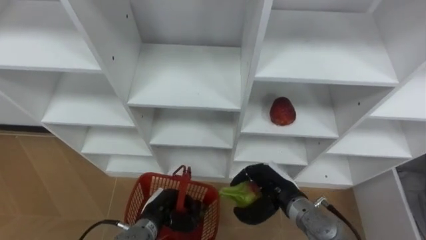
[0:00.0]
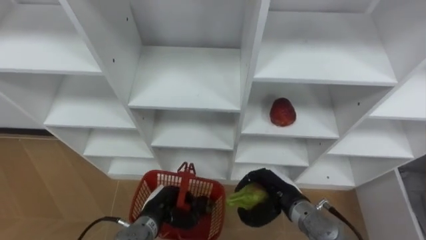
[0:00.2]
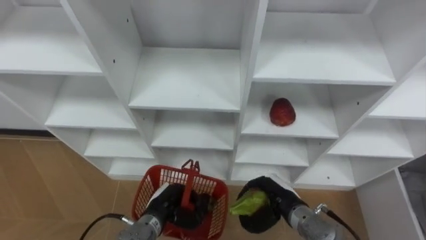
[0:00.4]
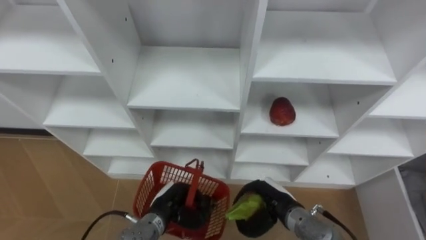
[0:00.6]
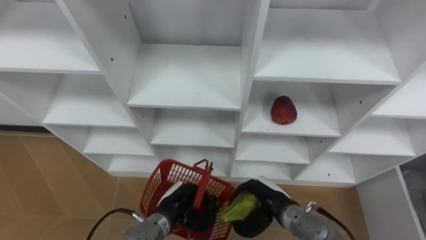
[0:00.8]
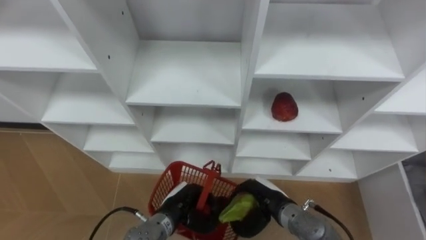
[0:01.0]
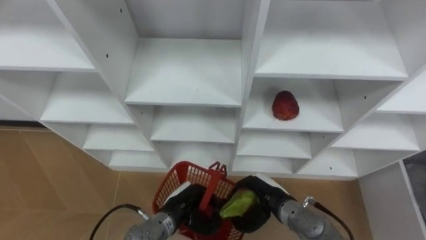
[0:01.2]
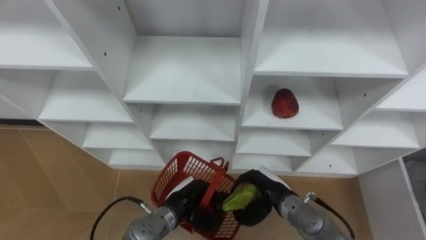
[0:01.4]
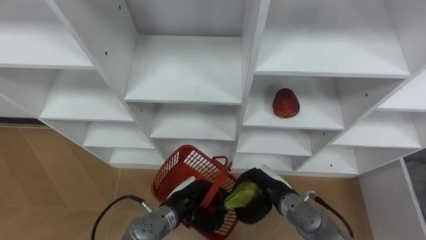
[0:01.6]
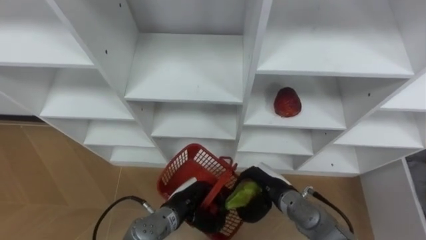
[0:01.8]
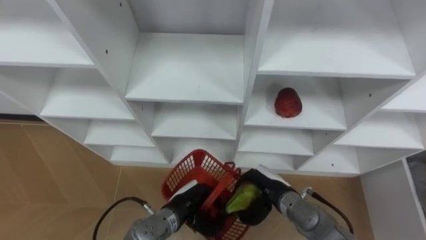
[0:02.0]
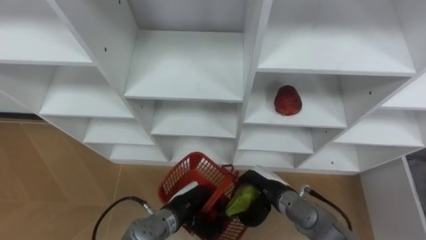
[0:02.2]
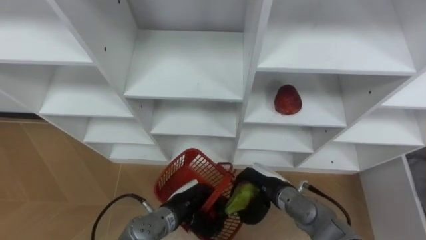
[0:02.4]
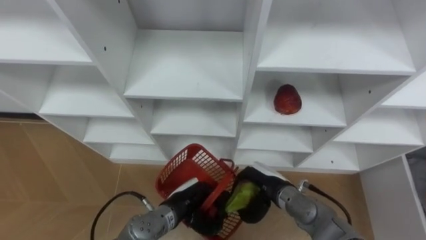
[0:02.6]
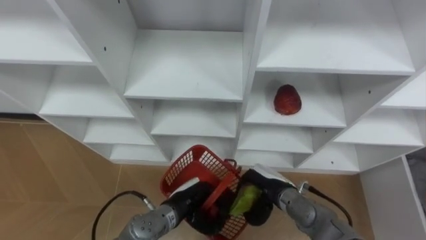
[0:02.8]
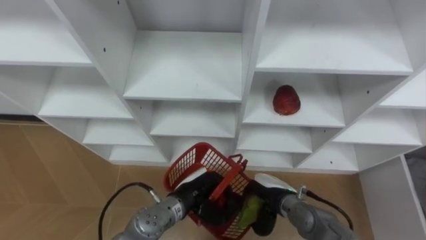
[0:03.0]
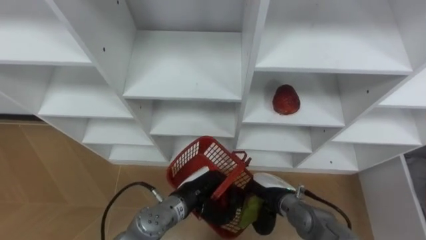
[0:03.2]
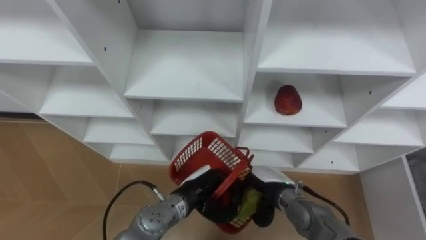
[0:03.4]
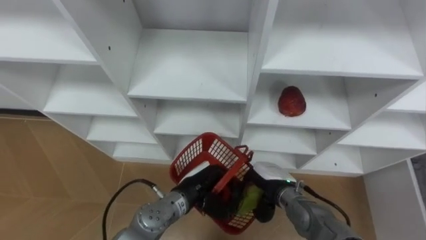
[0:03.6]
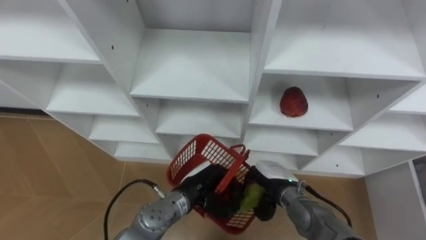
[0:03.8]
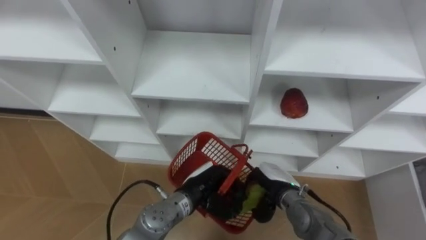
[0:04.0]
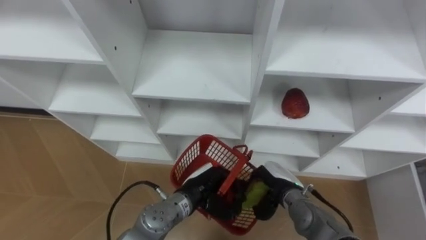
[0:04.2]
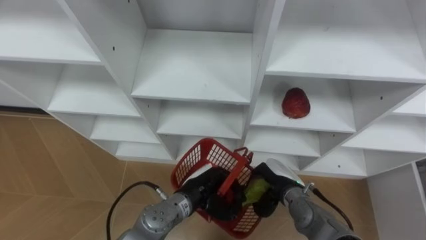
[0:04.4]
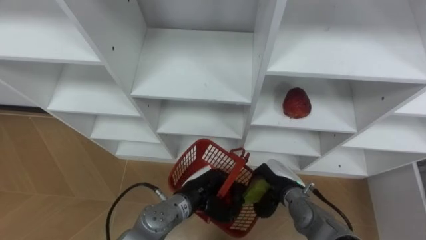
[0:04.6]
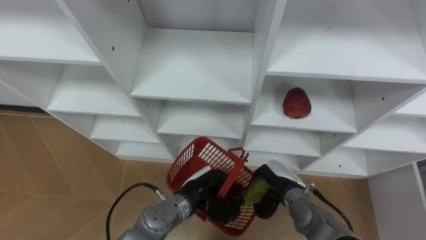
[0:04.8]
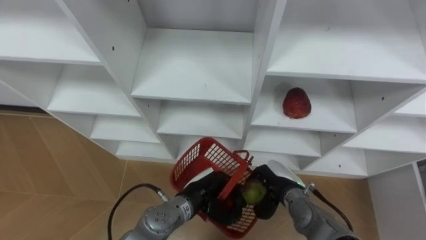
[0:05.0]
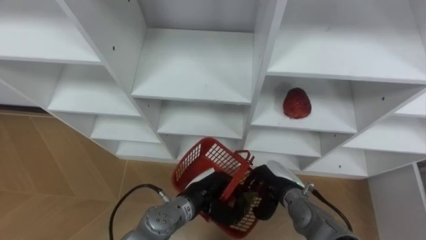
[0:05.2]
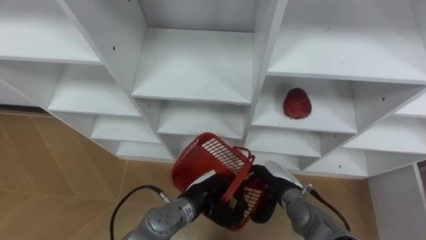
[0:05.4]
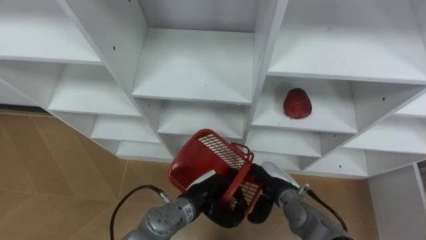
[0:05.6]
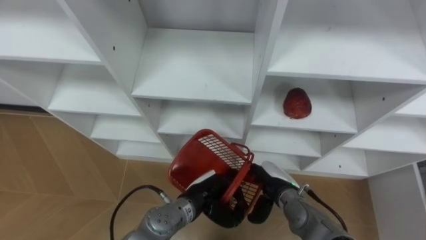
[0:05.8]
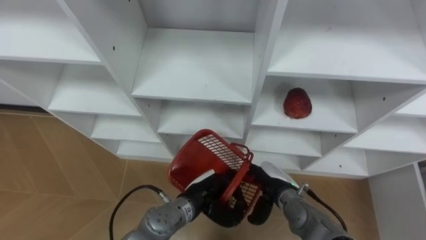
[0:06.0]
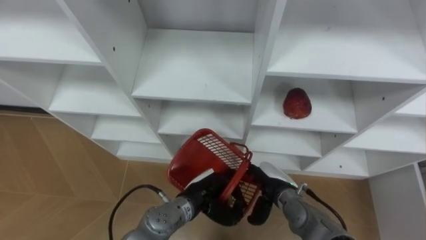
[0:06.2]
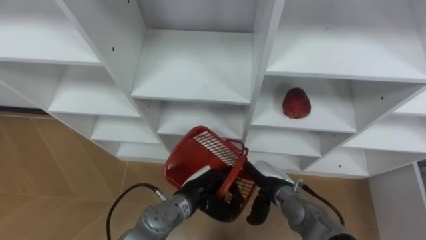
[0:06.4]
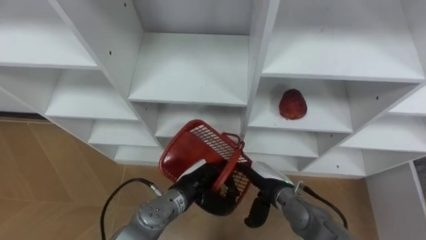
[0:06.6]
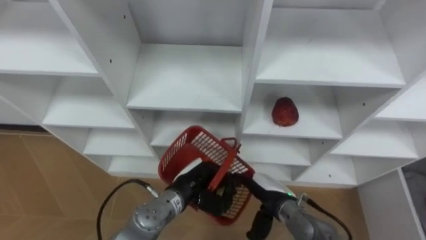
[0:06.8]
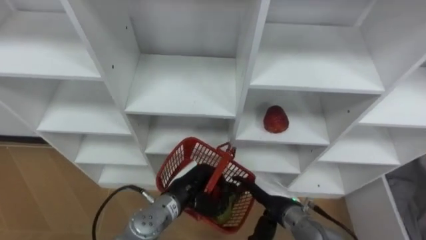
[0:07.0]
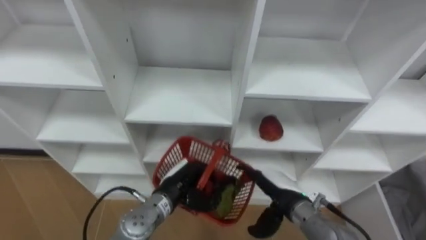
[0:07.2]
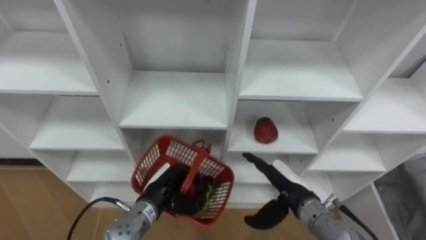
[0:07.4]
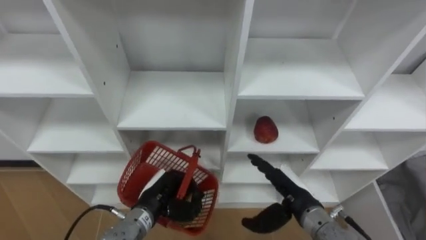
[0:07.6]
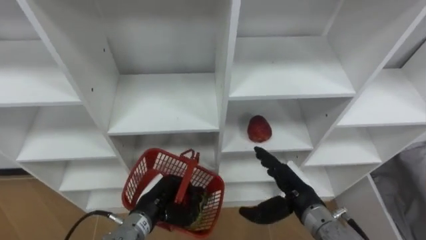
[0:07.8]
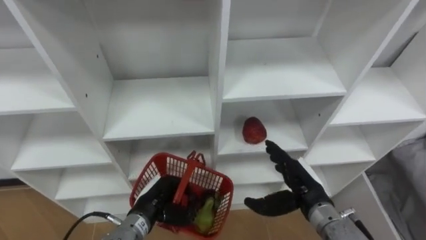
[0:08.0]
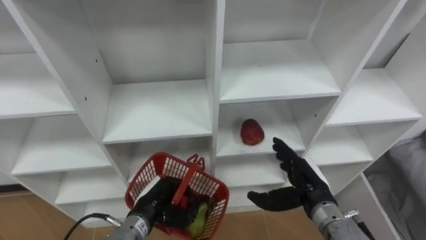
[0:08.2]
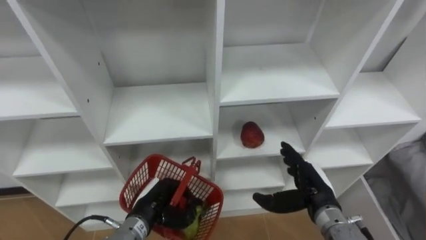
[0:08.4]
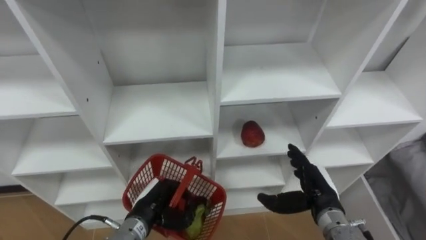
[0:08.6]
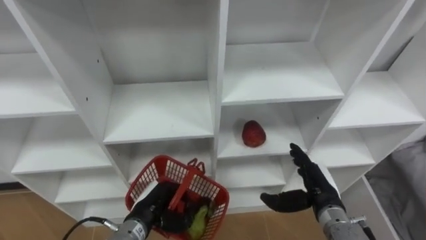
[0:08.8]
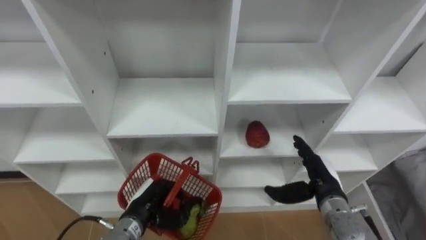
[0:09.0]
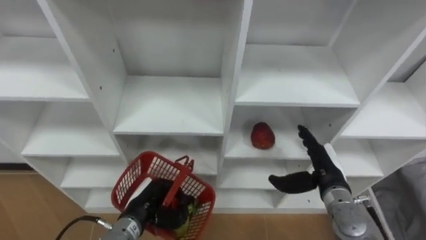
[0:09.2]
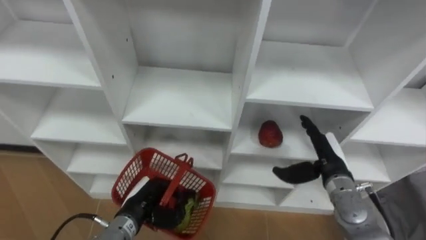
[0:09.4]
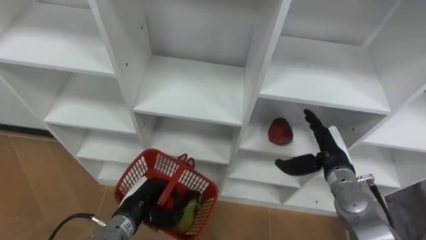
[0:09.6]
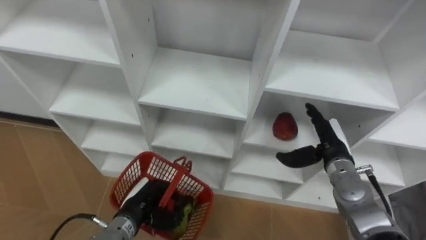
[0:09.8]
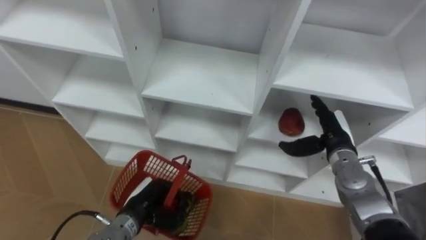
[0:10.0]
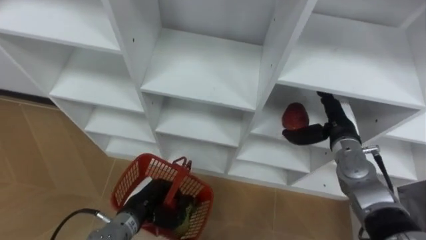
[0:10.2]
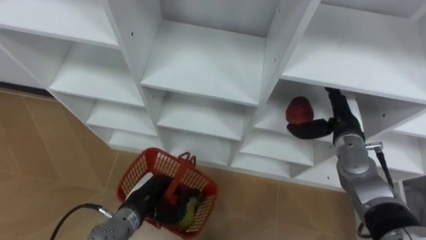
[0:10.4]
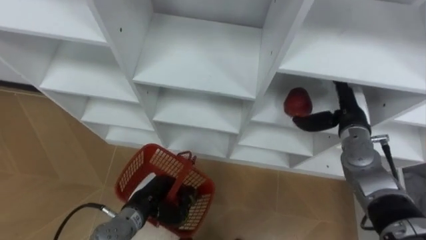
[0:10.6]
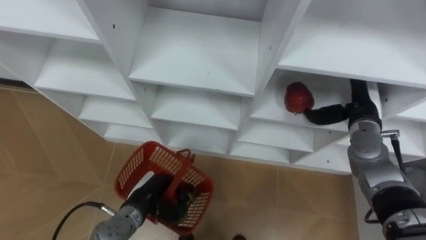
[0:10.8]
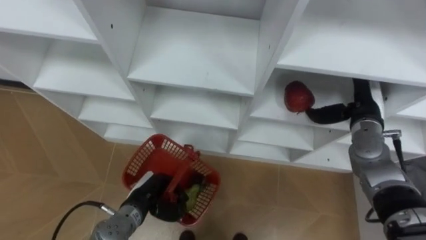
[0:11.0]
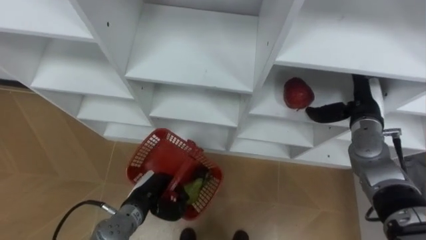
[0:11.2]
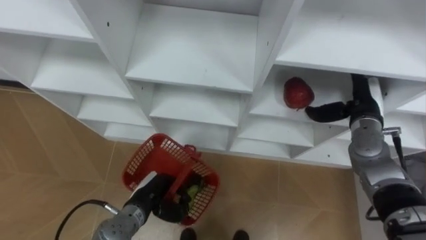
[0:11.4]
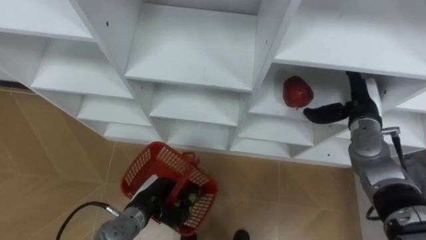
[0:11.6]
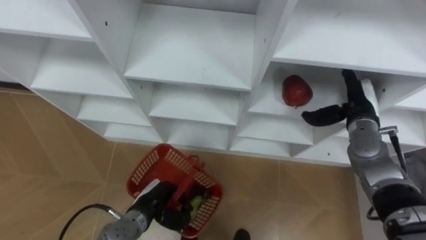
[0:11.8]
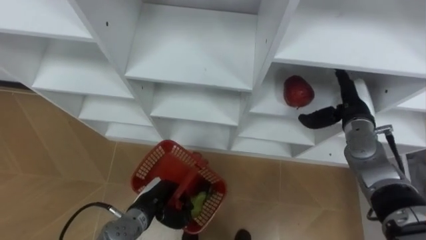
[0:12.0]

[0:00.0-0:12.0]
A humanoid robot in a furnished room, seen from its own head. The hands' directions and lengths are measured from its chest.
Task of the whole recording: Hold the basket and collect the fruits from 3 different cells of the closet into it.
0:00.0 to 0:01.6: The left hand is displaced to the right by approximately 5 cm.
0:04.4 to 0:06.0: The right hand opens.
0:06.0 to 0:07.6: The right hand heads upward, covering about 5 cm. The left hand heads to the left, covering approximately 10 cm.
0:07.6 to 0:09.0: The right hand moves to the right, about 5 cm.
0:09.0 to 0:10.4: The right hand travels forward and upward by some 10 cm.

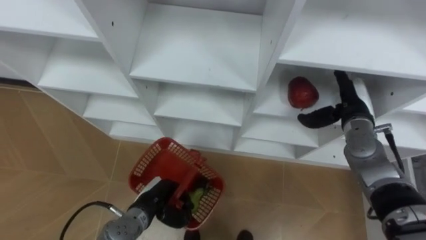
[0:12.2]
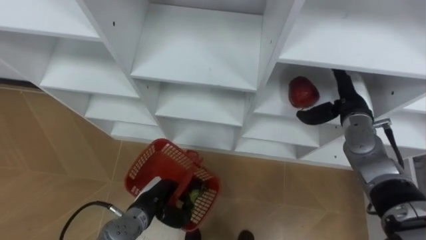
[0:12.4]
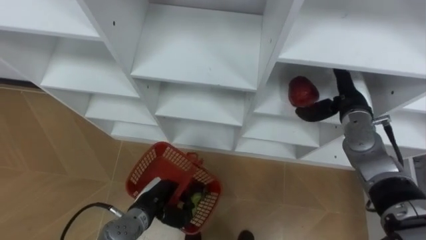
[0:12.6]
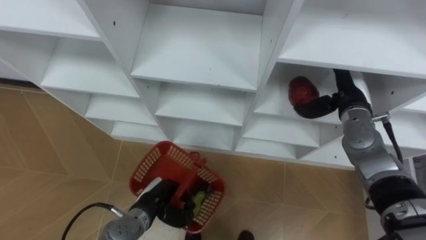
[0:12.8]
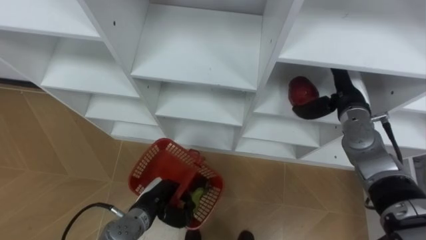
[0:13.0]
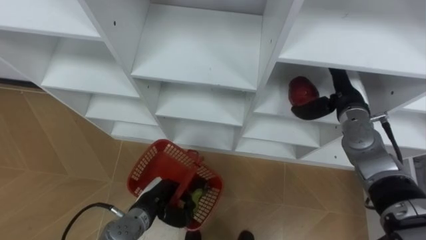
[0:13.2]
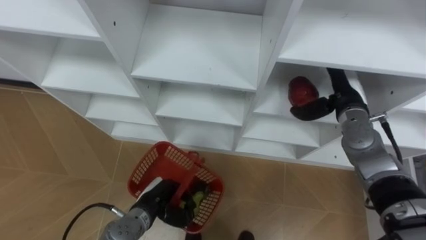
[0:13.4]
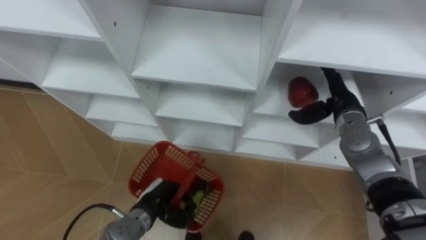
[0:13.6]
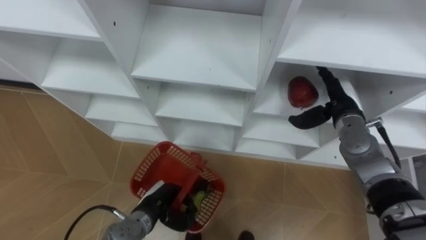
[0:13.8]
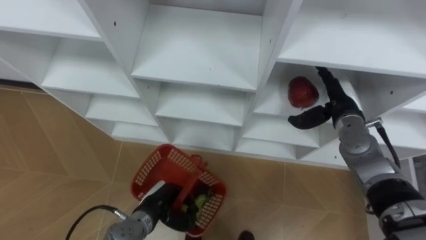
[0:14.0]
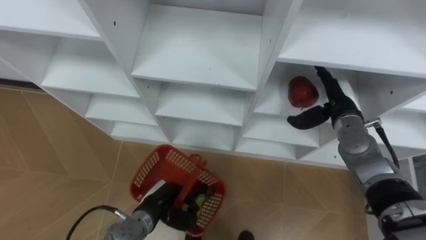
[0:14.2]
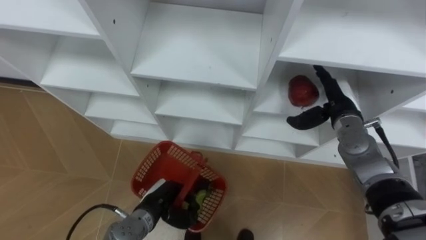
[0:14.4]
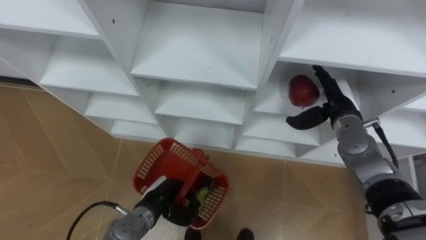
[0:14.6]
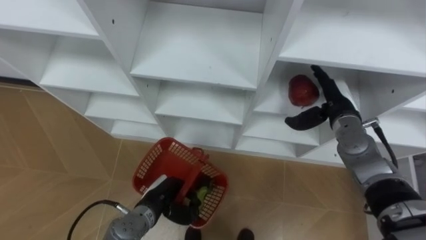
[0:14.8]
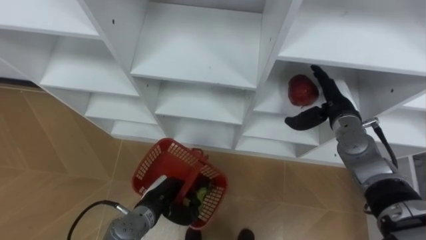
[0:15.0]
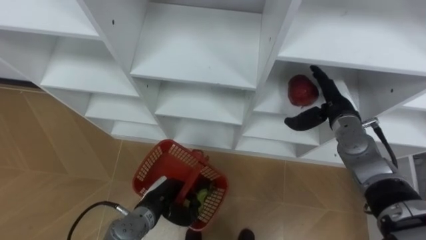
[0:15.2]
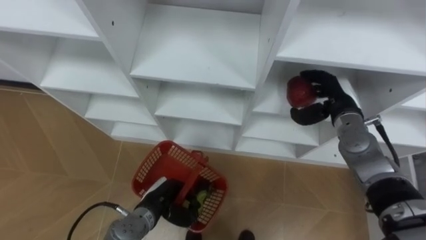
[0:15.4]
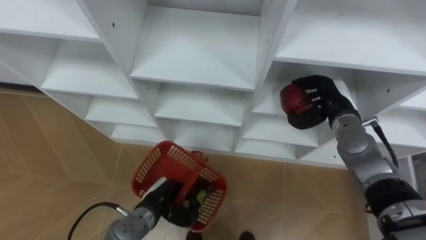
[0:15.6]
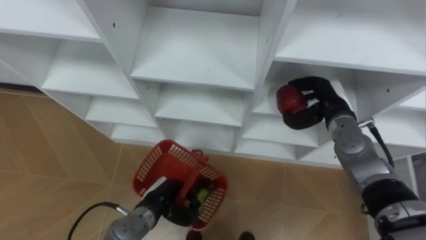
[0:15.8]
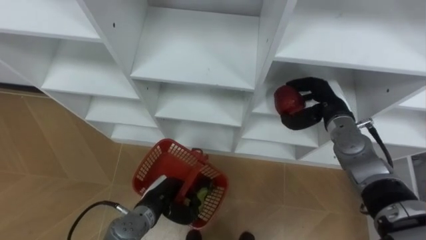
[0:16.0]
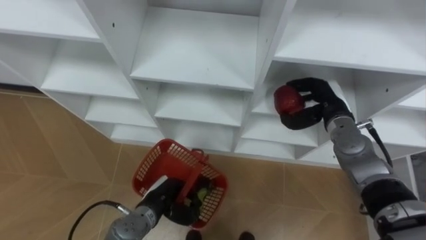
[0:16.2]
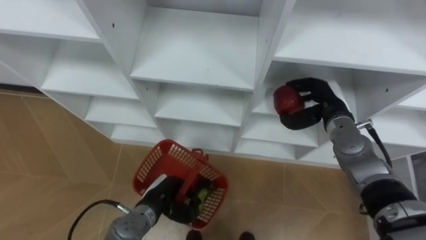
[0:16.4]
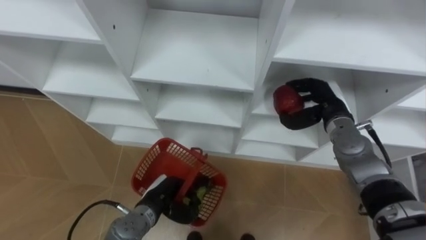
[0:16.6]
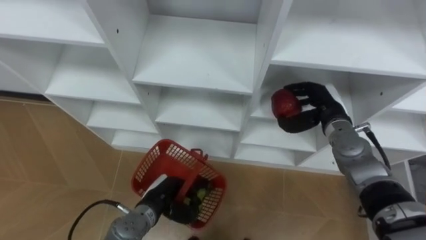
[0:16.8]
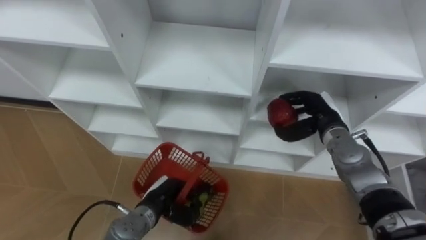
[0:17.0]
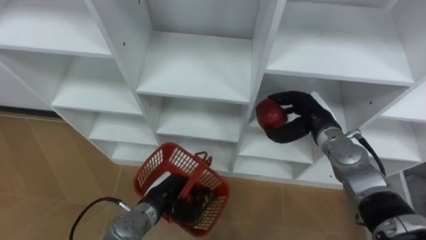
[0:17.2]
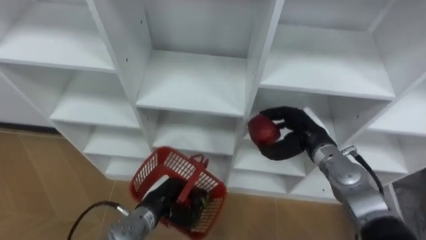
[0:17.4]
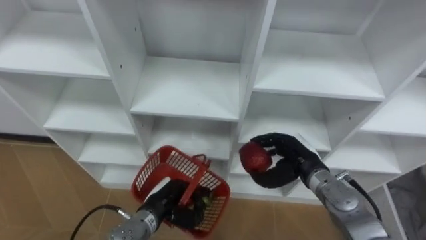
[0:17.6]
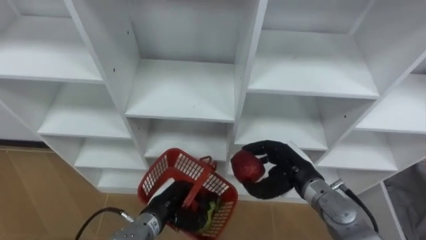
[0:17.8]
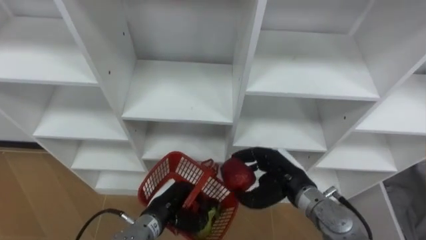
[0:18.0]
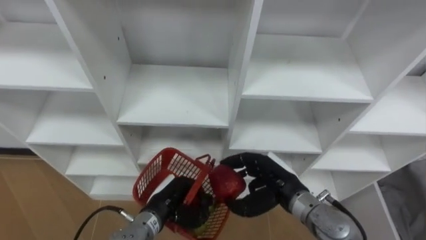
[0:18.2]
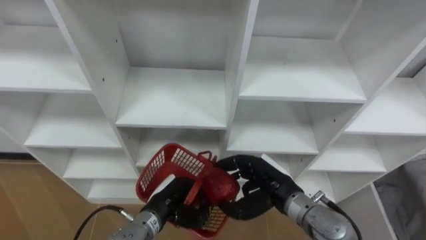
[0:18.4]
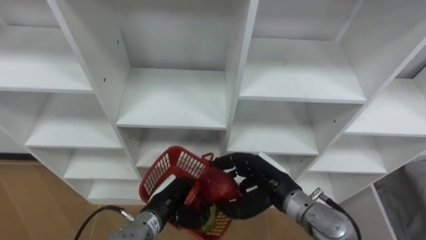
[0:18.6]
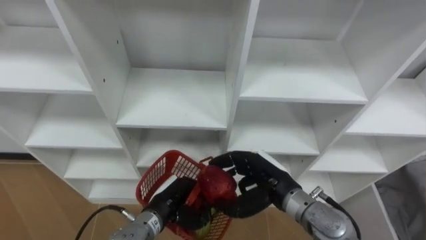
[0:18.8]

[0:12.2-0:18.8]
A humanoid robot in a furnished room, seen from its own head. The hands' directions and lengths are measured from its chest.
Task of the whole recording: Hold the basket and collect the fruits from 3 different cells of the closet into it.
0:12.2 to 0:13.8: The hands move only a little.
0:13.8 to 0:15.4: Both hands stay about where they are.
0:15.4 to 0:17.2: The right hand changes place by approximately 5 cm.
0:17.2 to 0:18.8: The right hand travels backward and to the left by some 15 cm.
